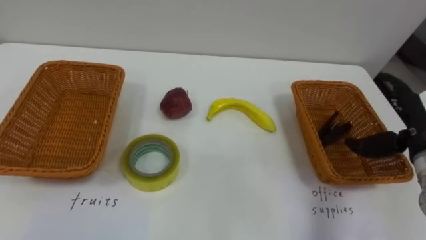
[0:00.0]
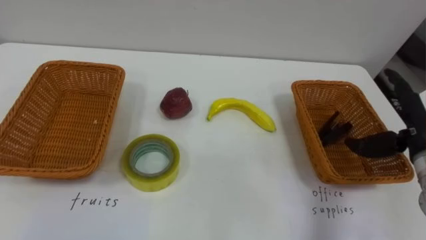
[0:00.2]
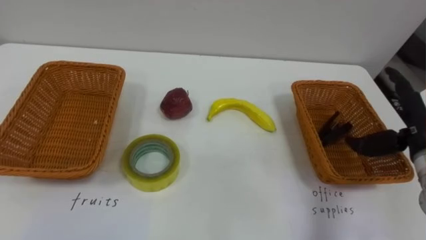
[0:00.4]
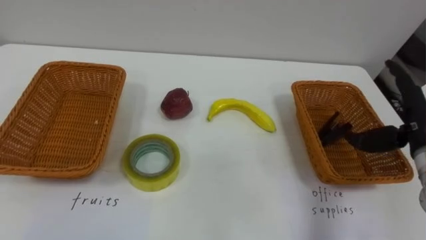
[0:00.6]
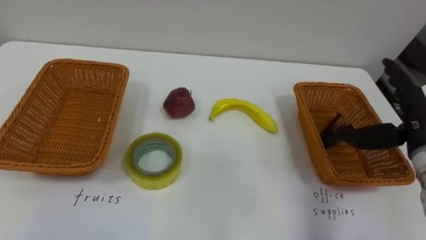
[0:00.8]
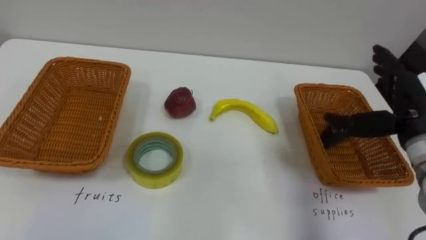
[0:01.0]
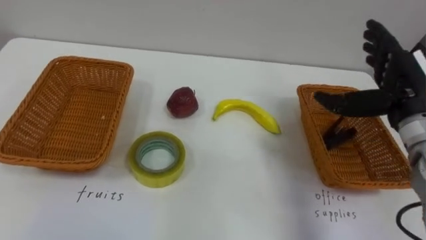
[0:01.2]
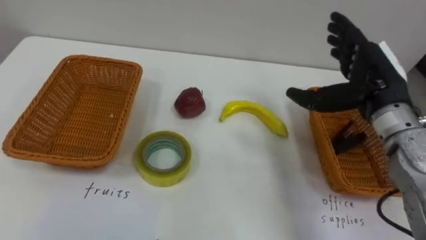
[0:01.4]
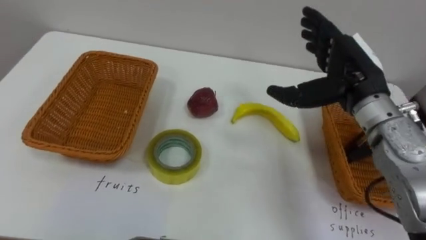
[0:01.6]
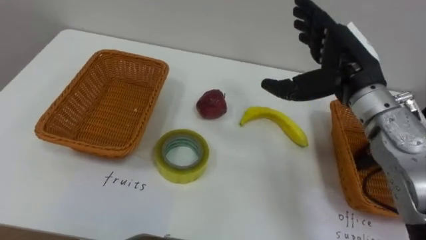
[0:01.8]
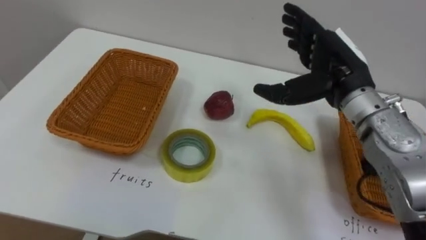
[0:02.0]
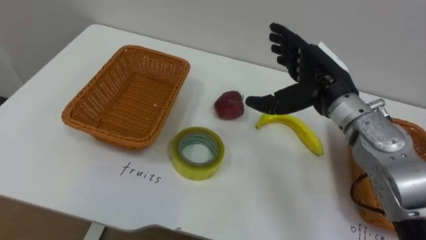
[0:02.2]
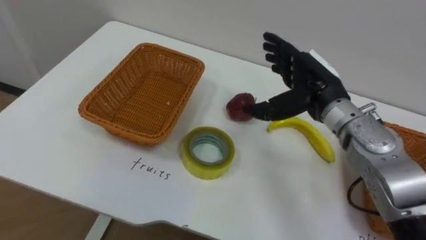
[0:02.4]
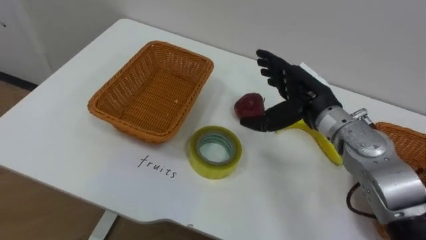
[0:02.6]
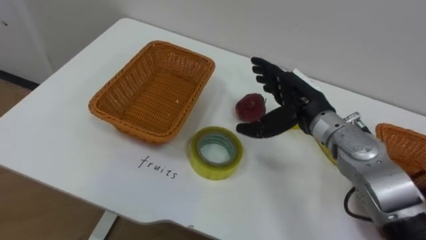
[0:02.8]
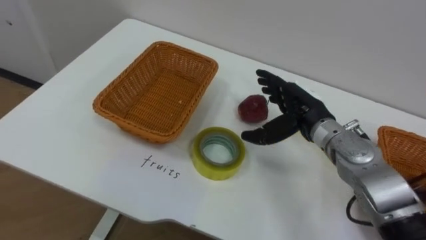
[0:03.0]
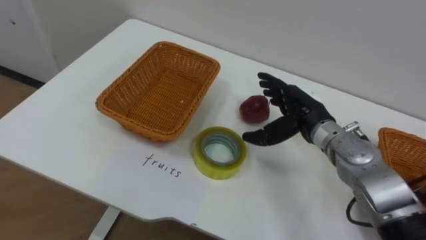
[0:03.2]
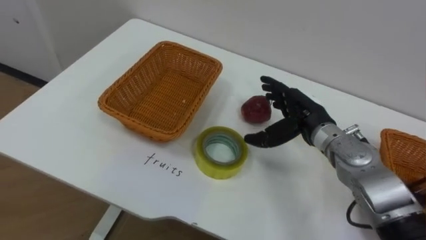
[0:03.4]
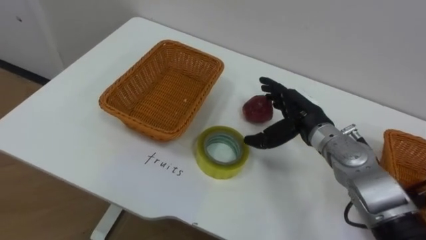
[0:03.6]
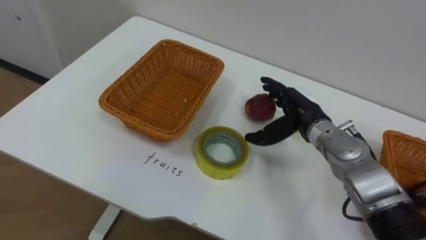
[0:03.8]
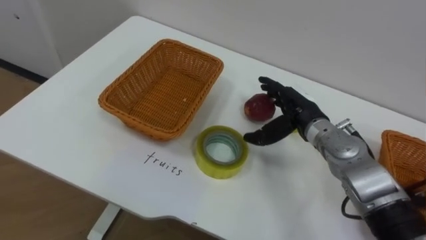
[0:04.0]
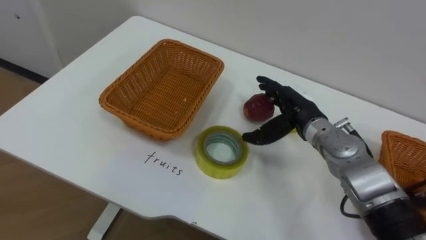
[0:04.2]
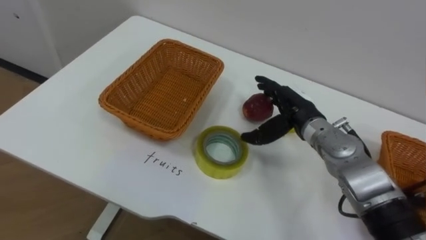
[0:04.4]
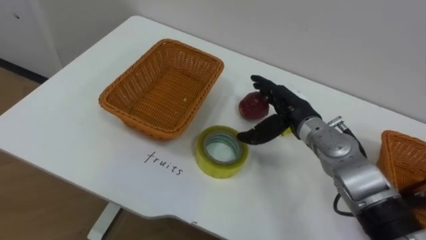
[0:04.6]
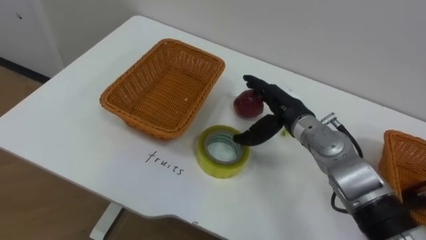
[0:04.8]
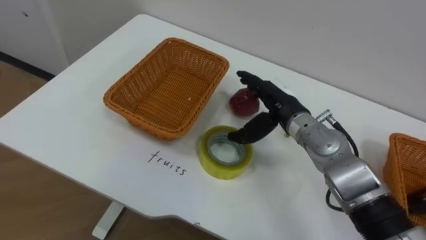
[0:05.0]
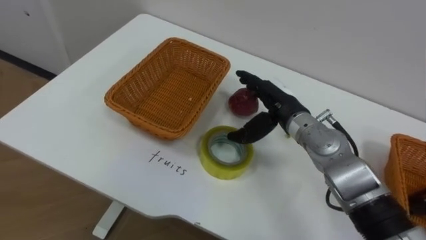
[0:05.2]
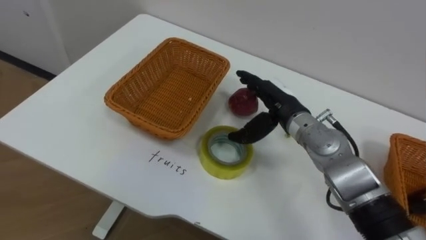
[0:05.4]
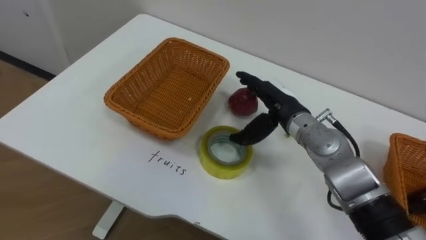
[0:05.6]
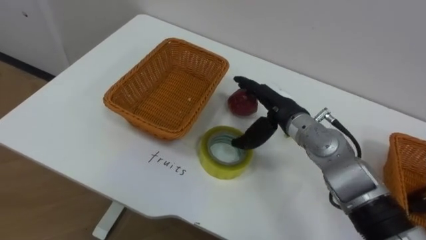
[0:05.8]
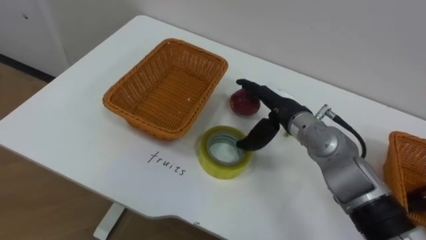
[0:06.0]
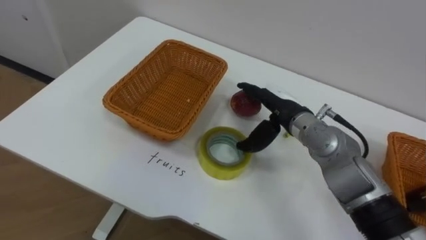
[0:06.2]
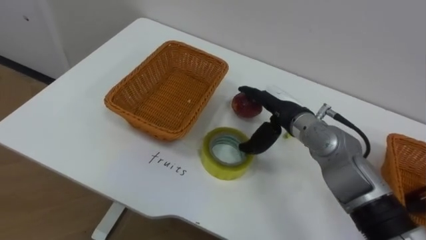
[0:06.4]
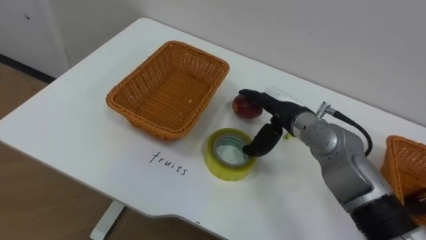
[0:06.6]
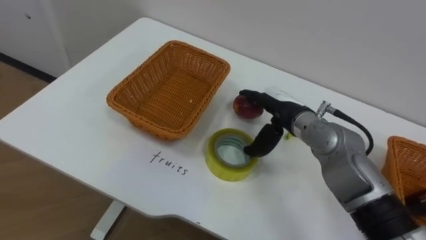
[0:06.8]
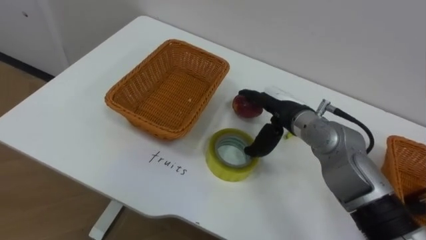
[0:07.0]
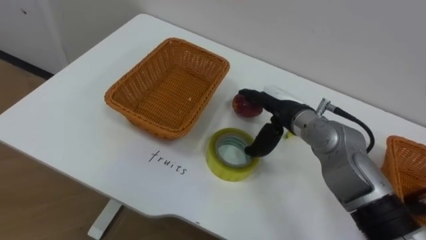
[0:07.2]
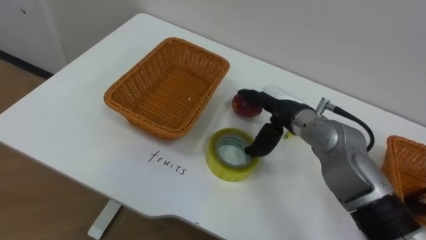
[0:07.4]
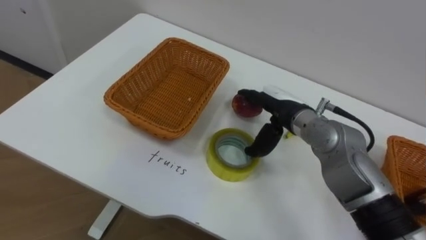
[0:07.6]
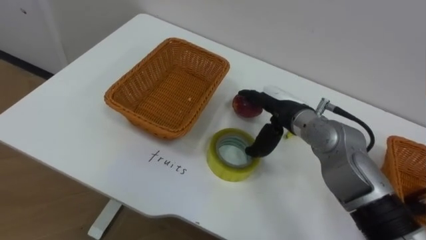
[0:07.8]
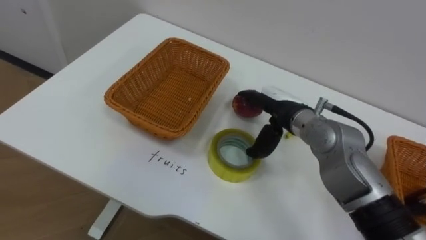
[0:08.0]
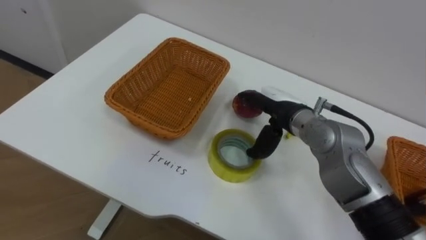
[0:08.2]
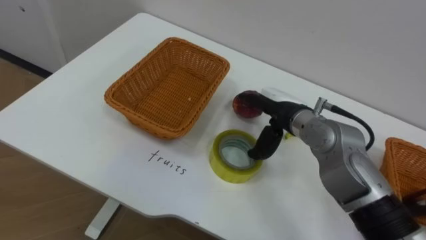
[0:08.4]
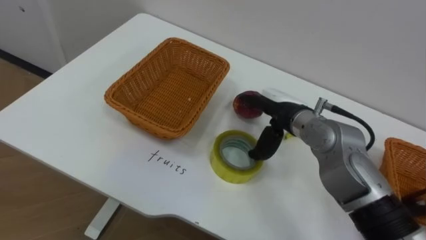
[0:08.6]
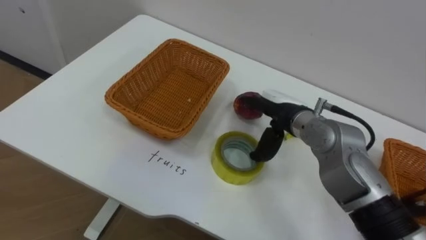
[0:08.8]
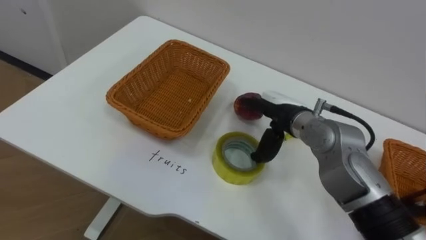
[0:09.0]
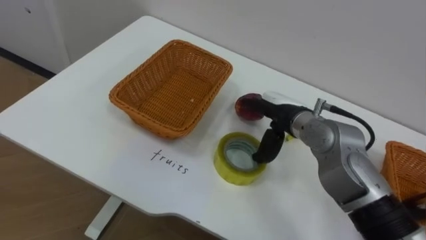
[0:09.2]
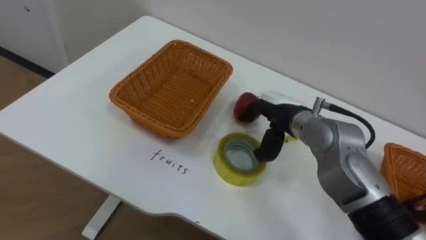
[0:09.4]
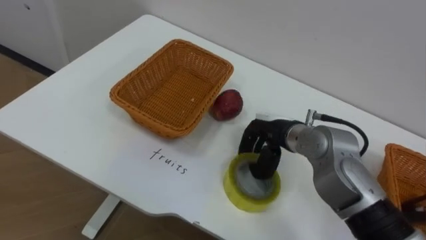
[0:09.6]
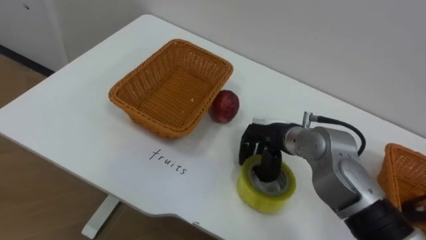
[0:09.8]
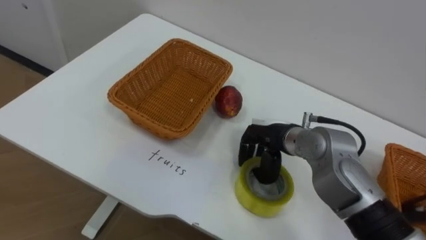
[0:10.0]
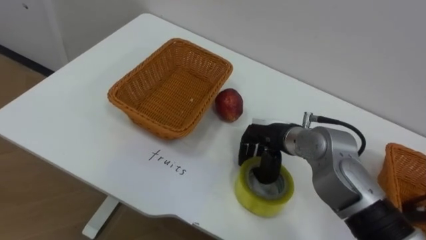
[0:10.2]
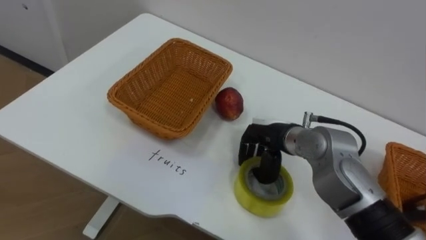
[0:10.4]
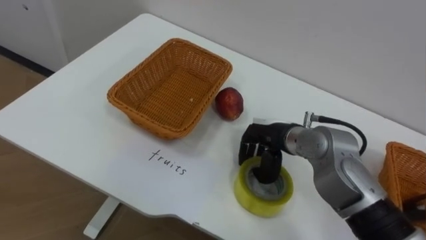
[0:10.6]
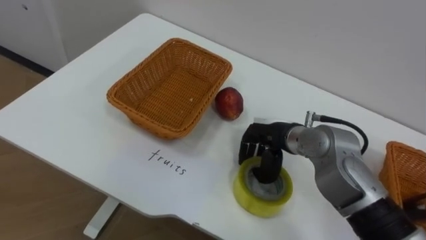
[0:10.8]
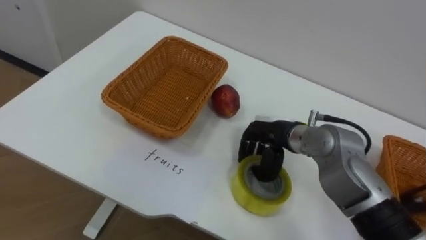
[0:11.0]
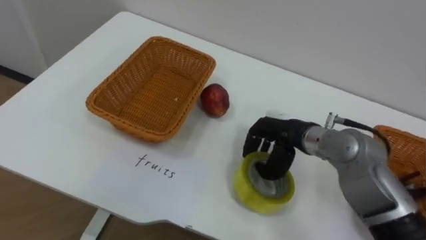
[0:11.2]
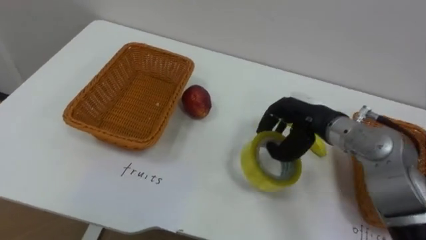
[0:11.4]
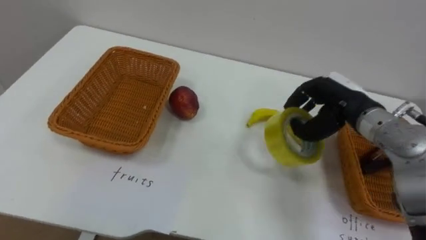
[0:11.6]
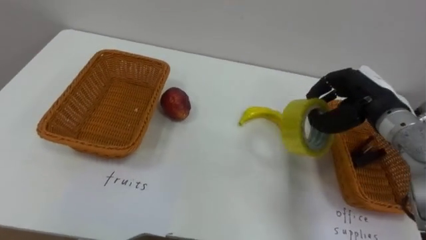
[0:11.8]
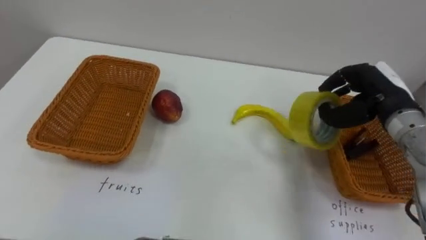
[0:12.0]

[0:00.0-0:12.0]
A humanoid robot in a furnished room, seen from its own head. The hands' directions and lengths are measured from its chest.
Task of the whole recording: Separate the items on the table and place them into the two baskets.
0.0 to 1.6 s: The right hand is displaced to the left, upward and forward by about 15 cm.
1.6 to 3.0 s: The right hand travels downward and to the left by roughly 10 cm.
9.0 to 10.4 s: The right hand closes.
10.4 to 12.0 s: The right hand shifts some 20 cm to the right and upward.

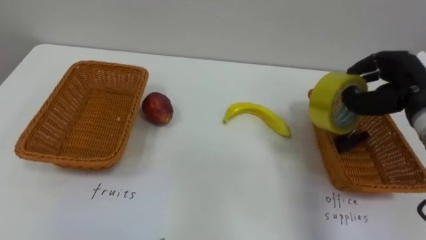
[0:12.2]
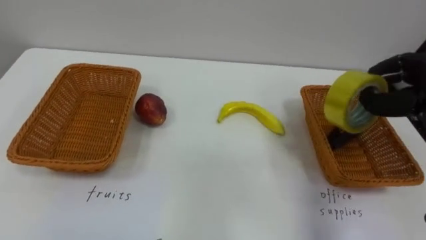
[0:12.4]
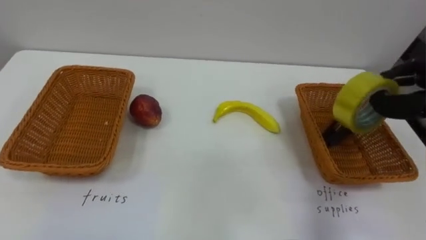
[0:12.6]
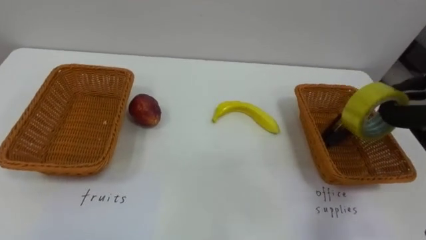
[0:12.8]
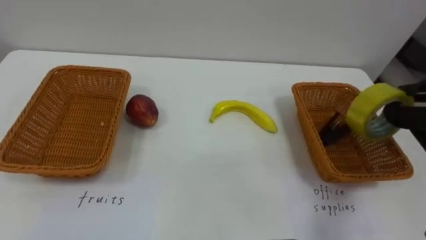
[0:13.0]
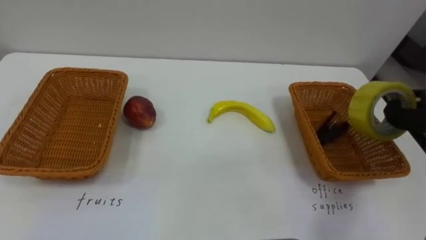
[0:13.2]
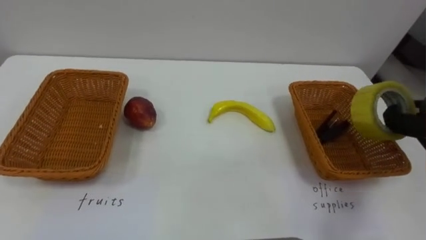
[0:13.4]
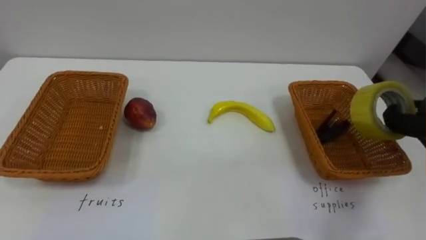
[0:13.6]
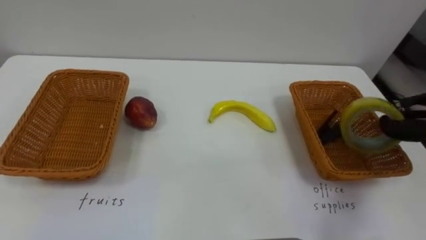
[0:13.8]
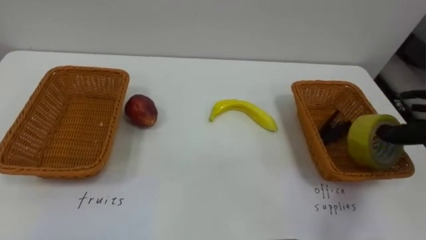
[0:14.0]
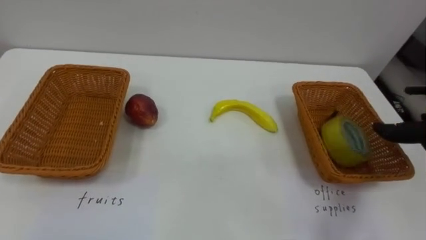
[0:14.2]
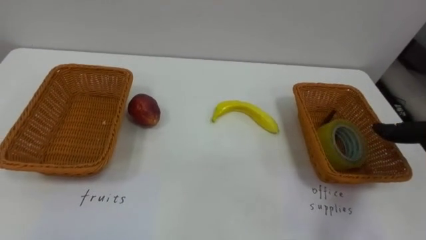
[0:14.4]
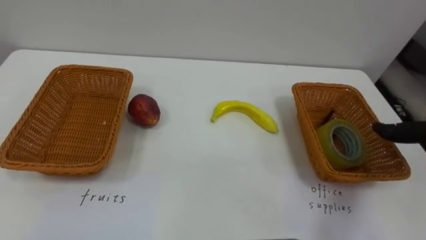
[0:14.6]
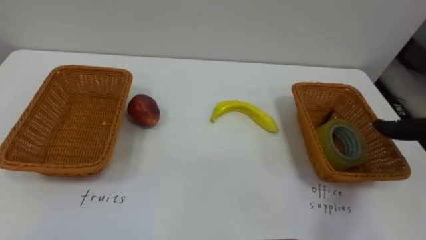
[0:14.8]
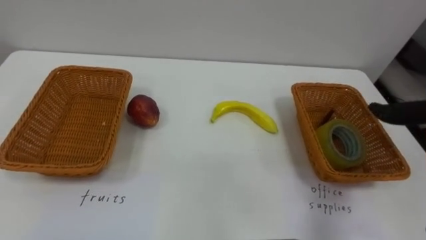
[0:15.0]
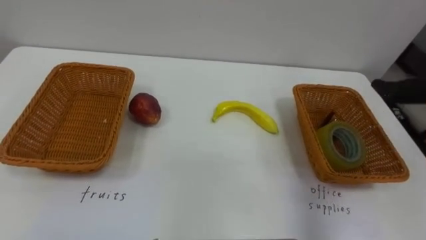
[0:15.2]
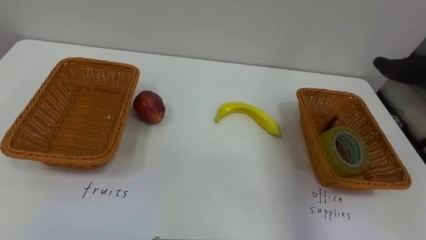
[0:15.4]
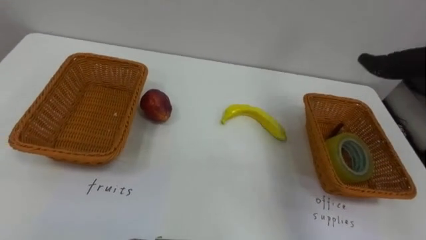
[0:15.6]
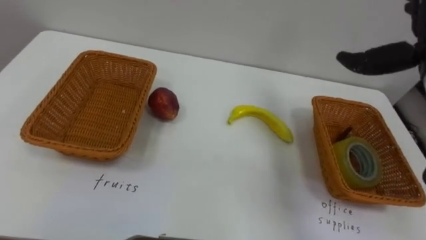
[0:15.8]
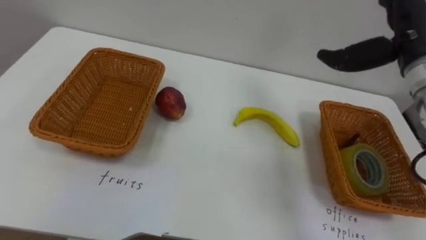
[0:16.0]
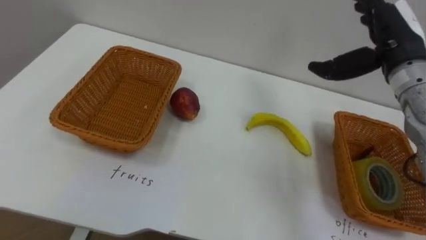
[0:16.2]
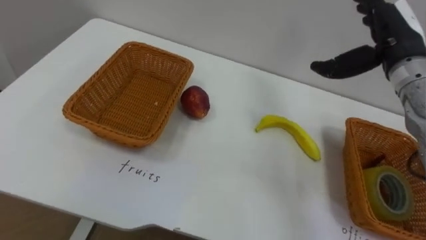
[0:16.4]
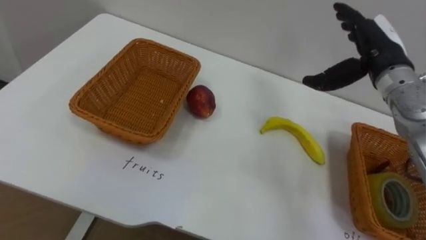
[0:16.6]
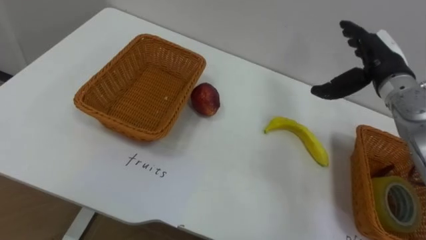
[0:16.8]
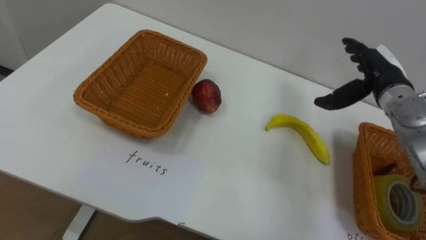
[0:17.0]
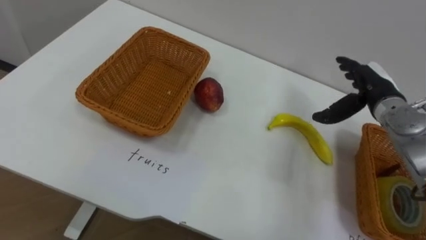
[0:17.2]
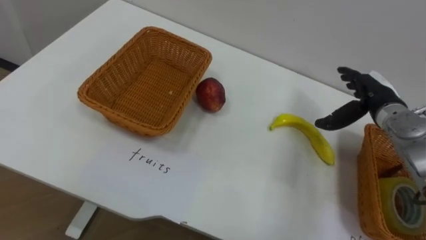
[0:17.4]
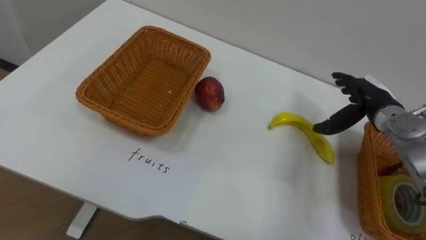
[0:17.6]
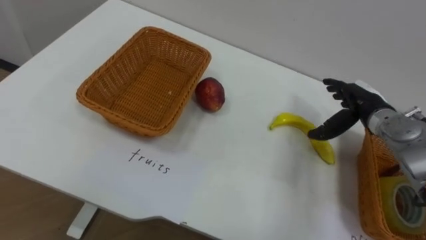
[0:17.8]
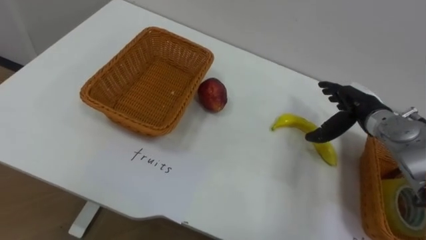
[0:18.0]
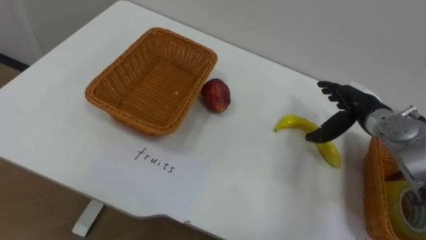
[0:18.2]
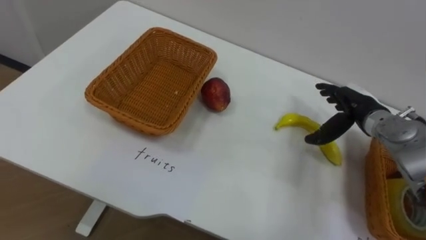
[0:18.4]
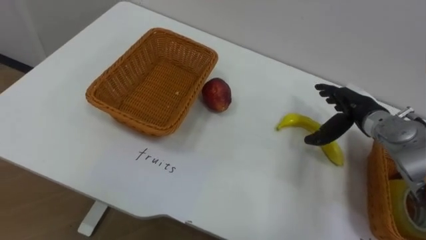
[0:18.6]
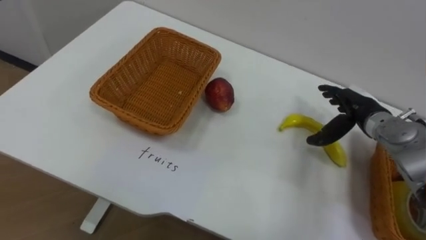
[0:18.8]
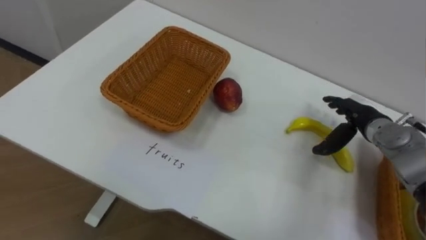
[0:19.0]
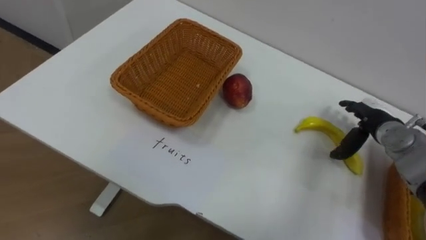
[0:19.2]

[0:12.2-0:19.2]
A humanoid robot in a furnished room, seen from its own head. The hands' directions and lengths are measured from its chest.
Task of the whole recording: Separate the items on the table and place them into the two baskets.
16.4 to 17.8 s: The right hand shifts about 15 cm downward.
